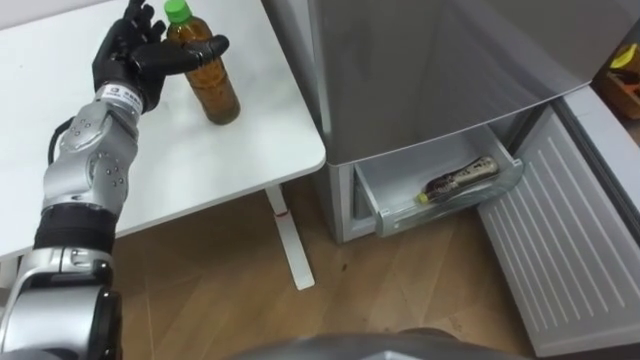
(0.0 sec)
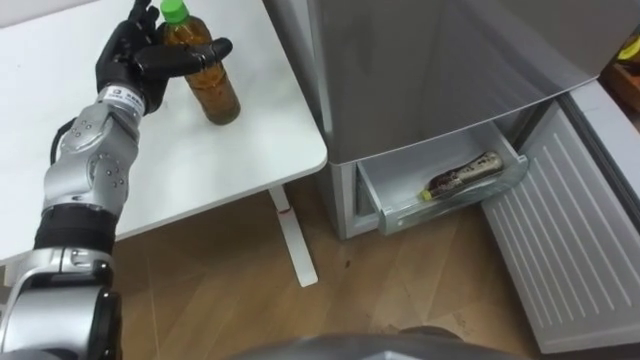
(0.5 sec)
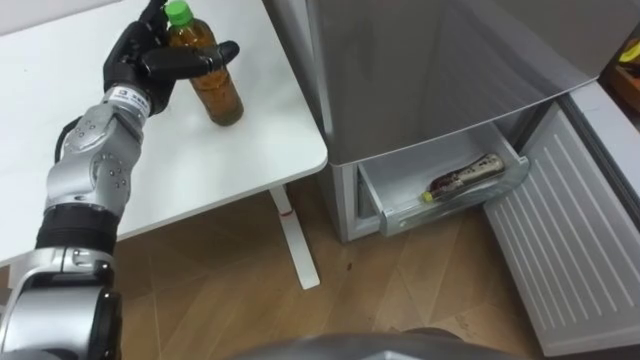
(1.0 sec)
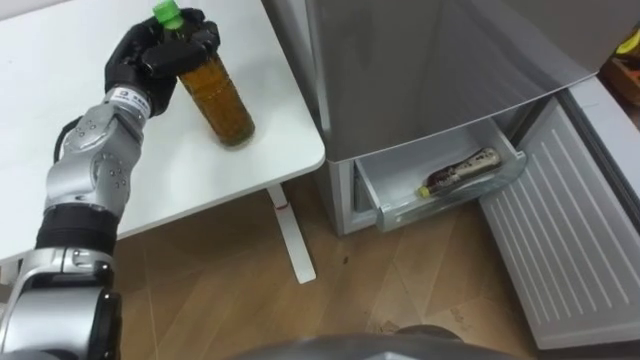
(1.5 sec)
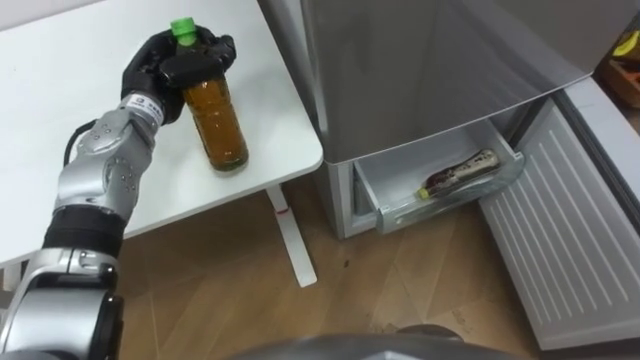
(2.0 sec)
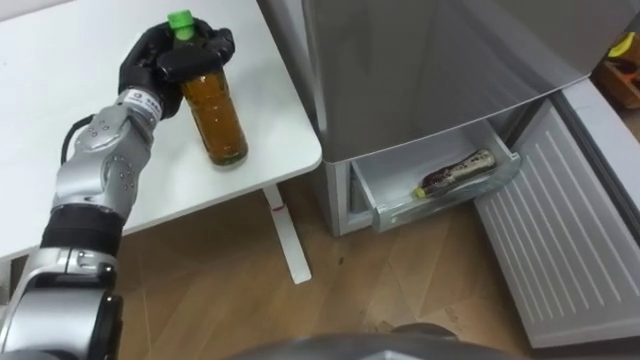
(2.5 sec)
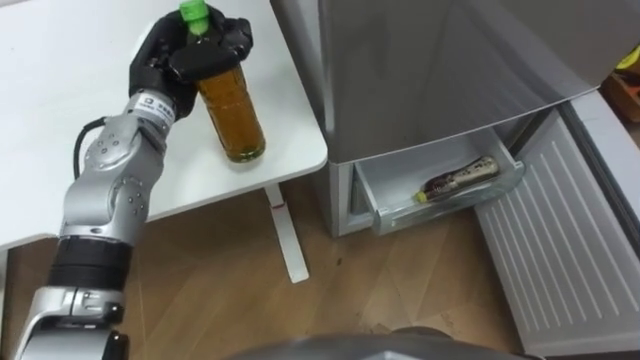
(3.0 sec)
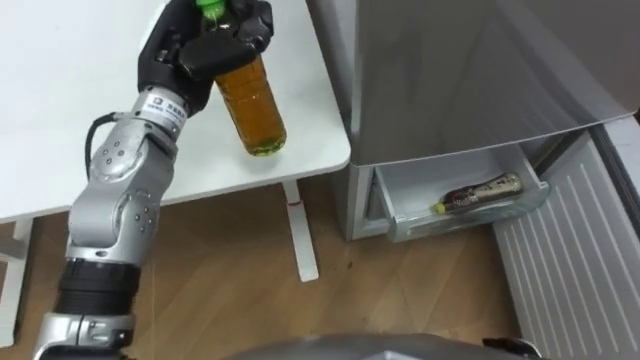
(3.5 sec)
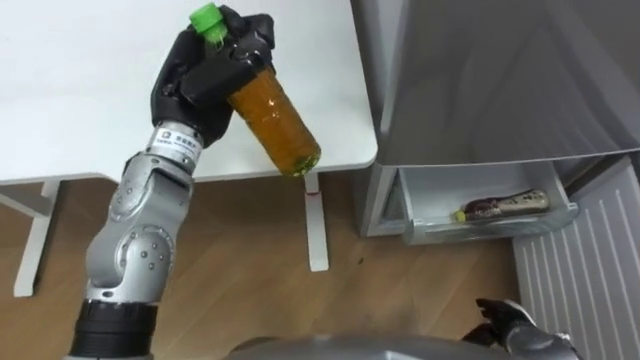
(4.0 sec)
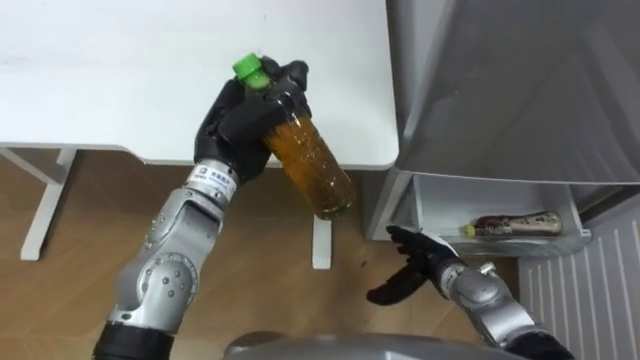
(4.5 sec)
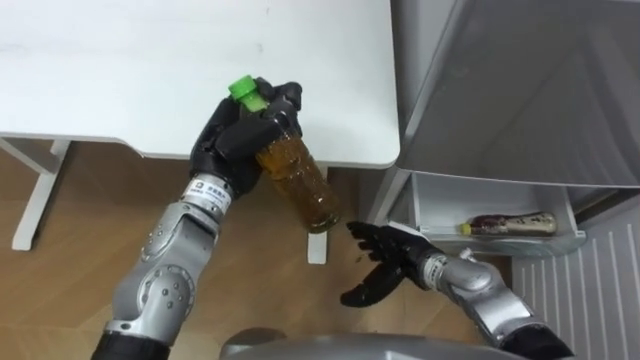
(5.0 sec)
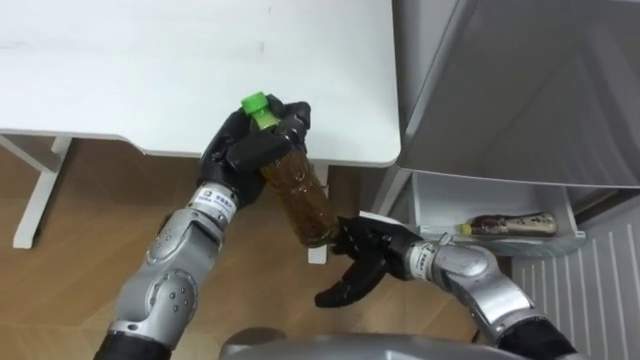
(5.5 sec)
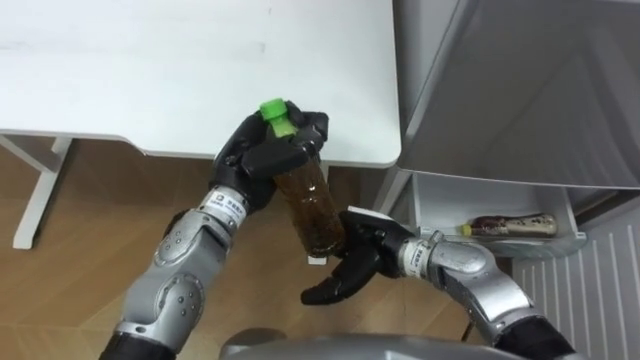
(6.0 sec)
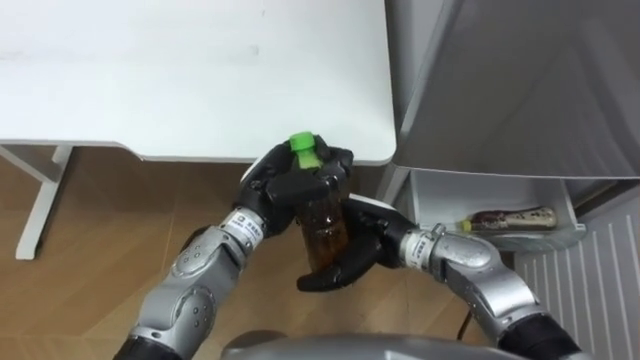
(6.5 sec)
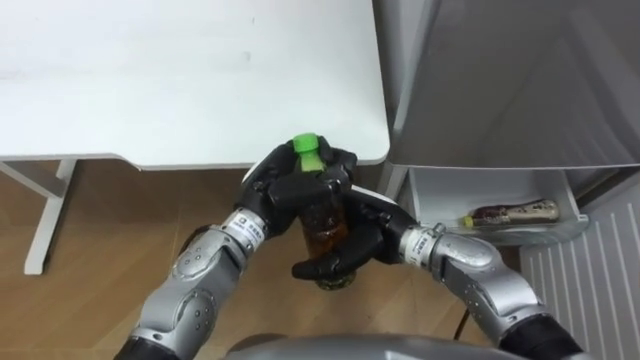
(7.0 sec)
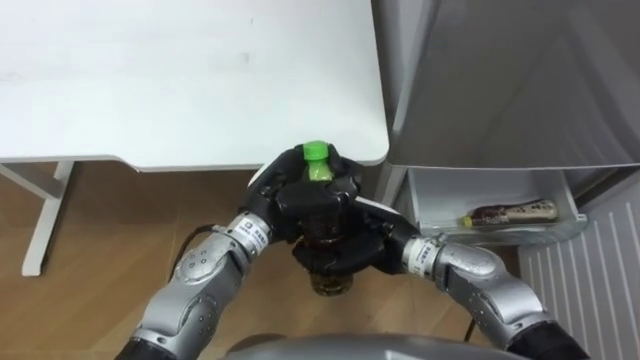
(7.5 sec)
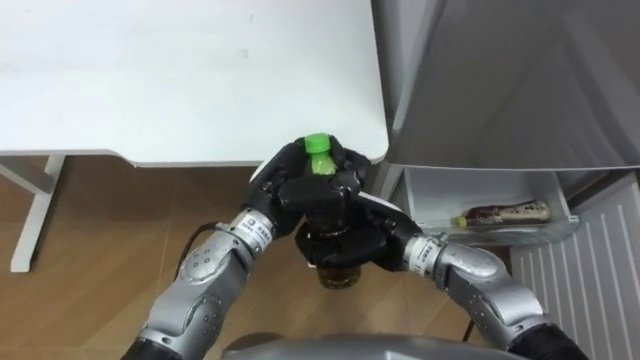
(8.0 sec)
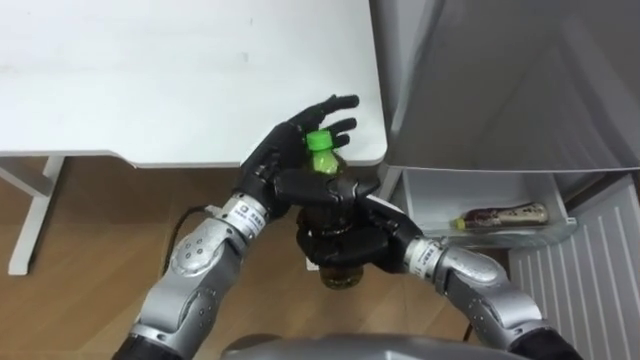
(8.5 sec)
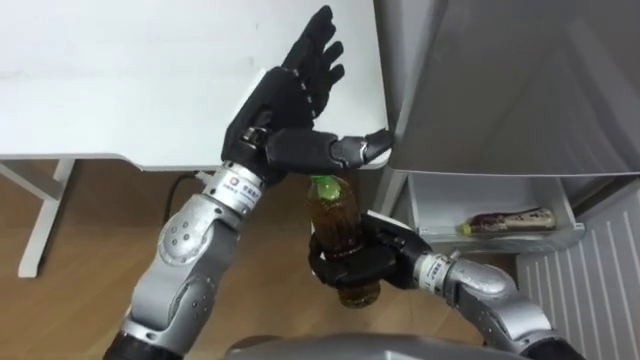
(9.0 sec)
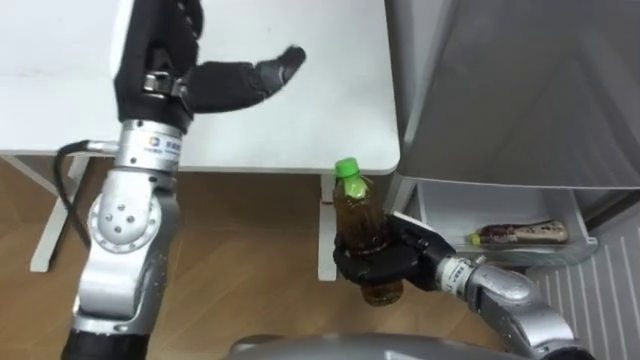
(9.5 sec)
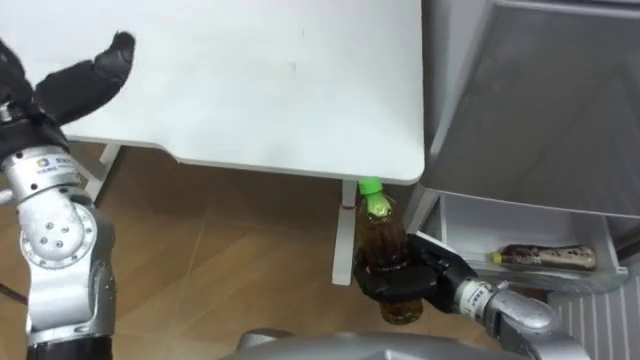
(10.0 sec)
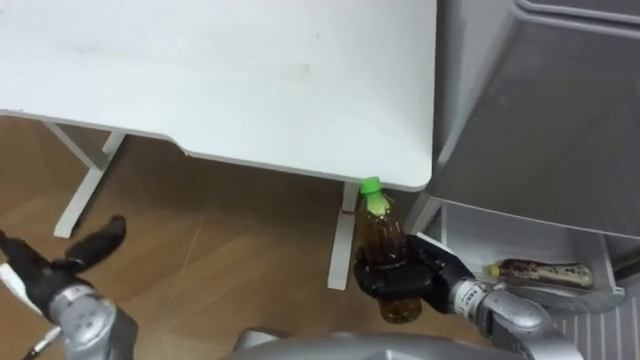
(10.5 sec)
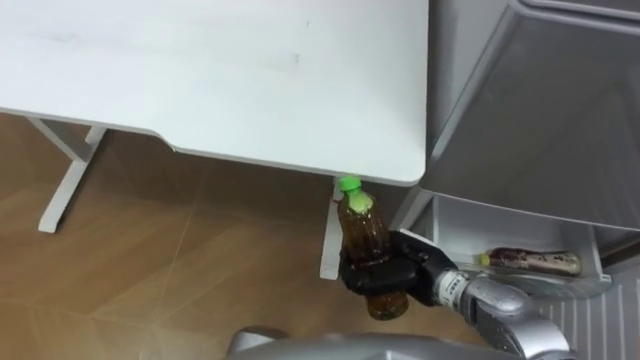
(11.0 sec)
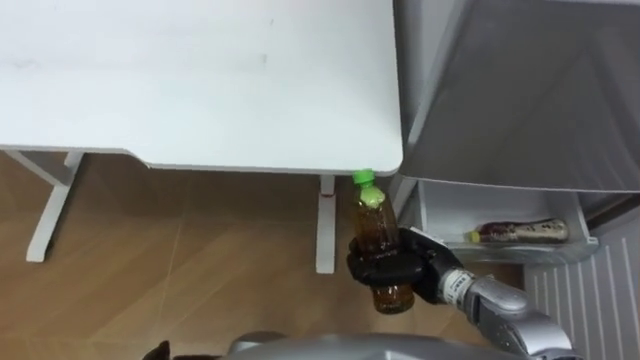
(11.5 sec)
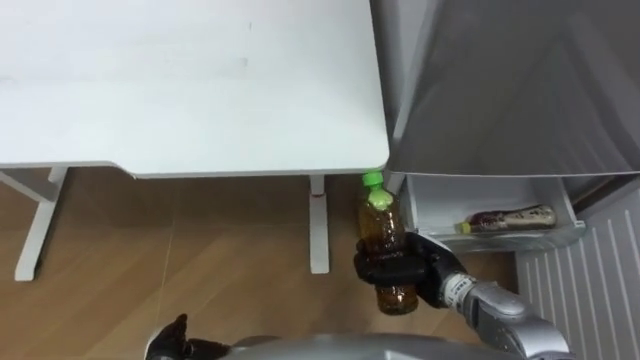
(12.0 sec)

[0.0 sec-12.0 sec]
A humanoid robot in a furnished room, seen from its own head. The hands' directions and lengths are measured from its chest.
Task of the whole recording: Place the drink on the table on the bottom shelf of the refrigerator, then close the drawer and the refrigerator door.
0.0 sec to 2.0 sec: The left hand closes up.
2.0 sec to 4.0 sec: The left hand is displaced backward, to the right and upward by some 10 cm.
4.0 sec to 6.0 sec: The left hand travels downward and to the right by roughly 10 cm. The right hand shifts some 25 cm to the left, upward and forward.
6.0 sec to 8.0 sec: The right hand closes its fingers. The left hand ends up roughly 5 cm from where it was.
8.0 sec to 10.0 sec: The left hand travels to the left and upward by approximately 30 cm, and opens up, while the right hand is displaced to the right by some 10 cm.

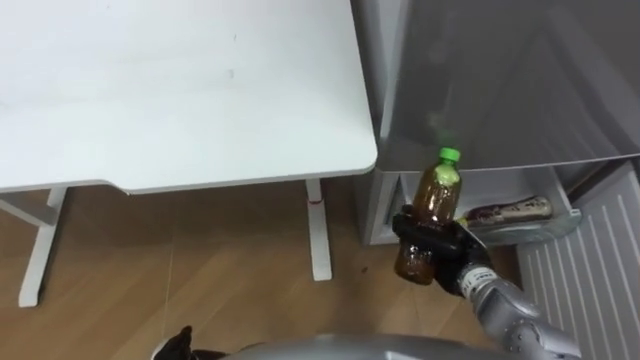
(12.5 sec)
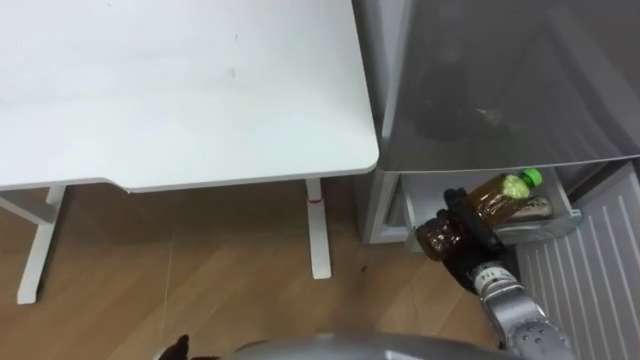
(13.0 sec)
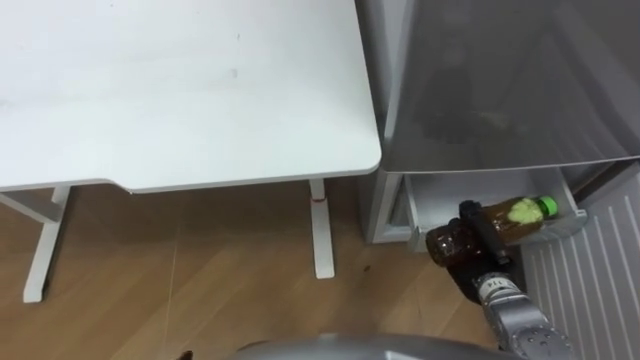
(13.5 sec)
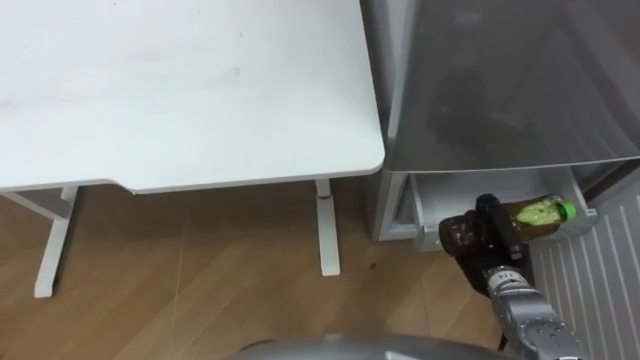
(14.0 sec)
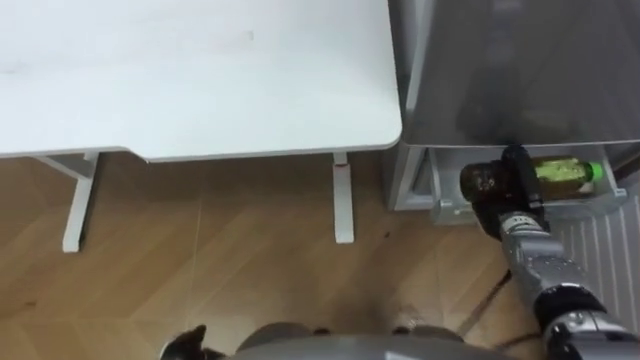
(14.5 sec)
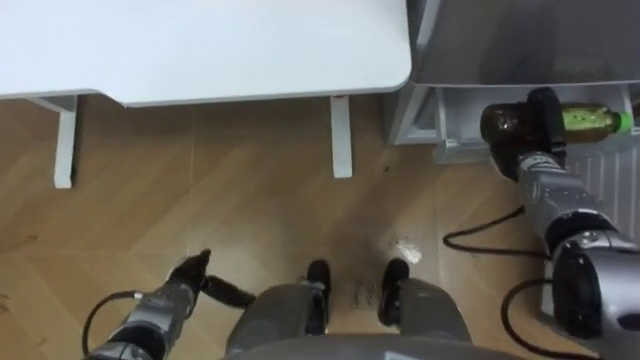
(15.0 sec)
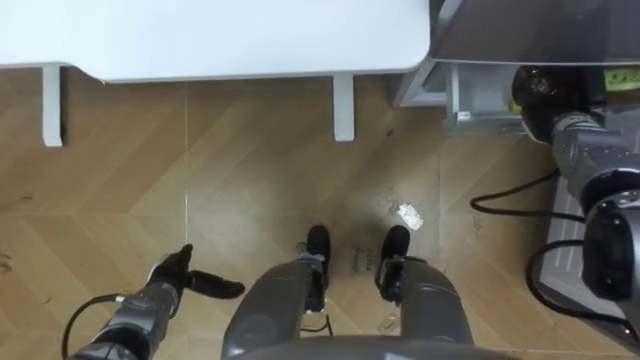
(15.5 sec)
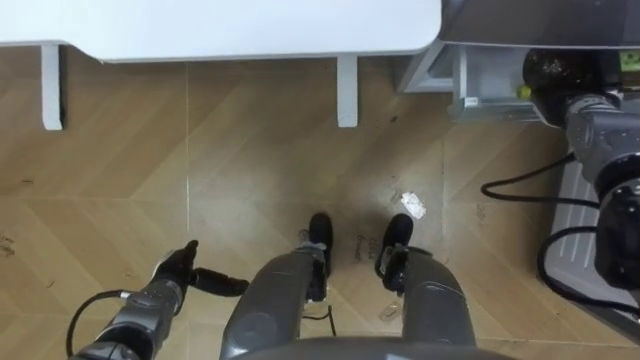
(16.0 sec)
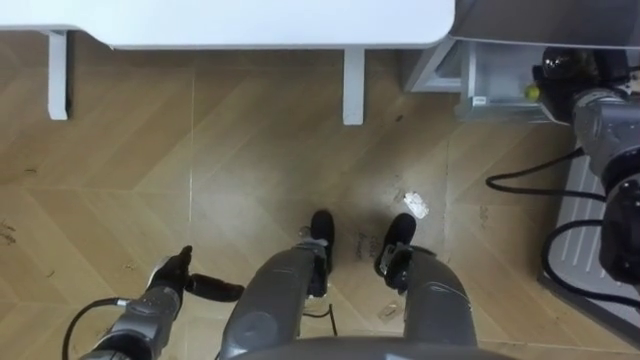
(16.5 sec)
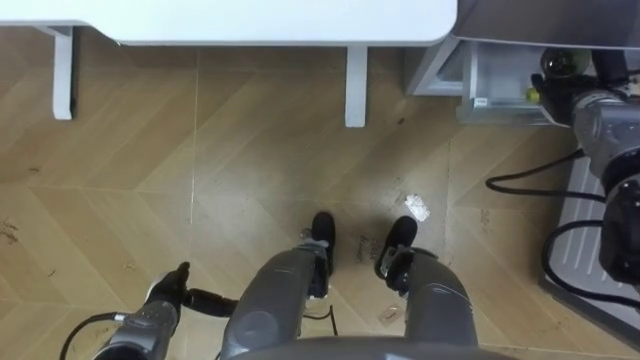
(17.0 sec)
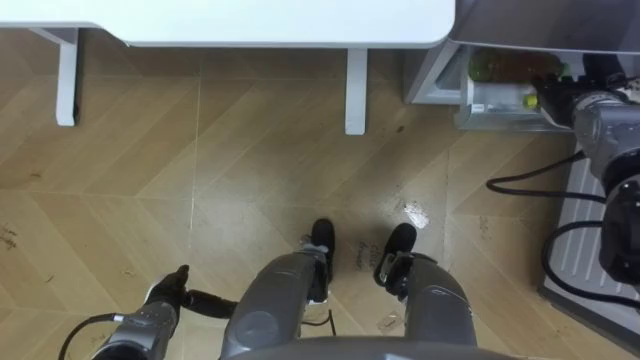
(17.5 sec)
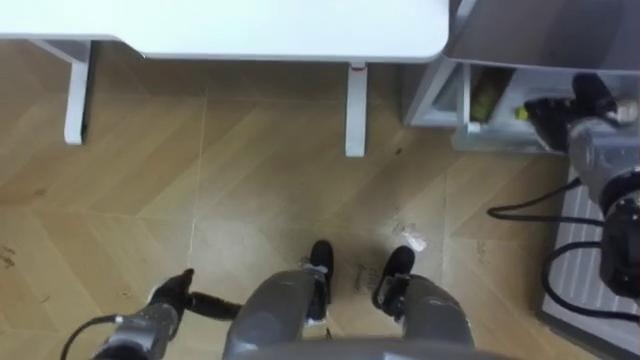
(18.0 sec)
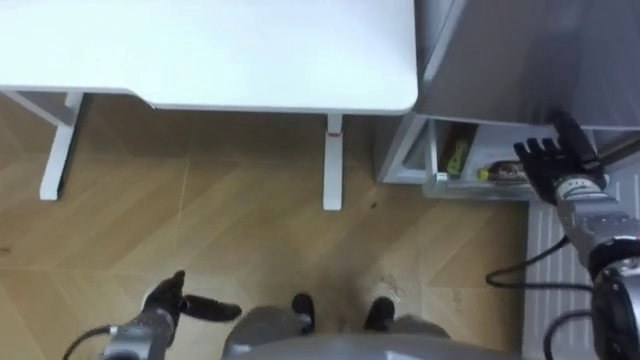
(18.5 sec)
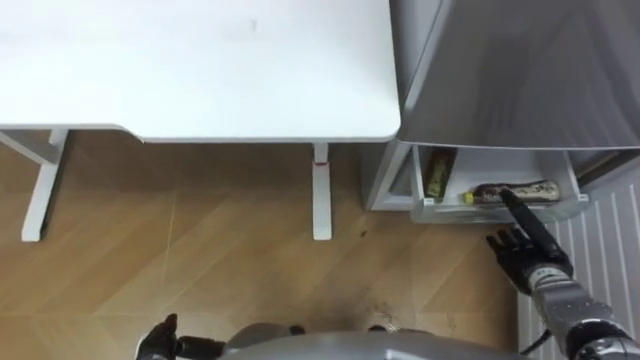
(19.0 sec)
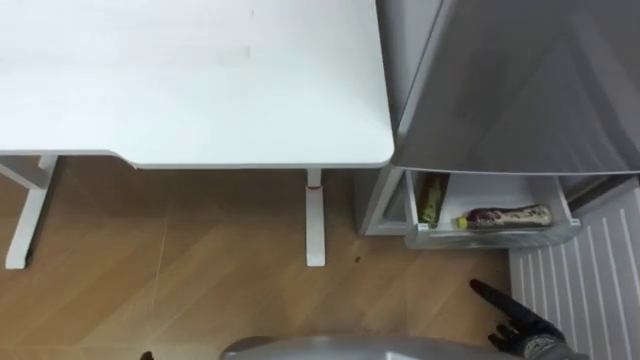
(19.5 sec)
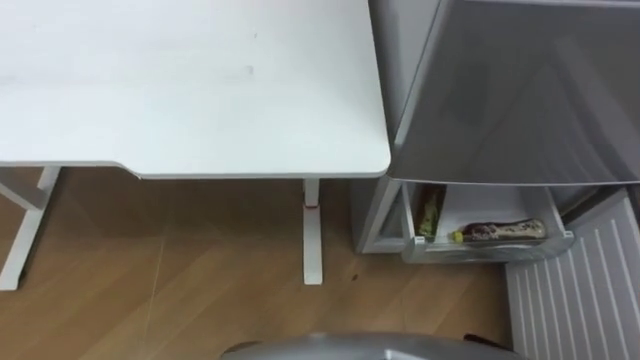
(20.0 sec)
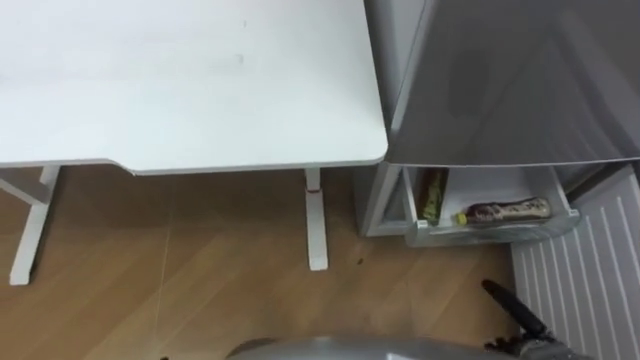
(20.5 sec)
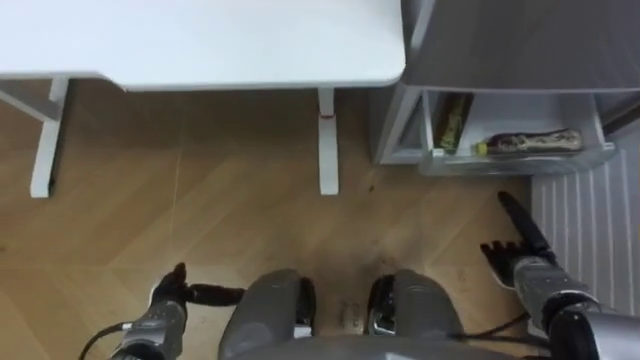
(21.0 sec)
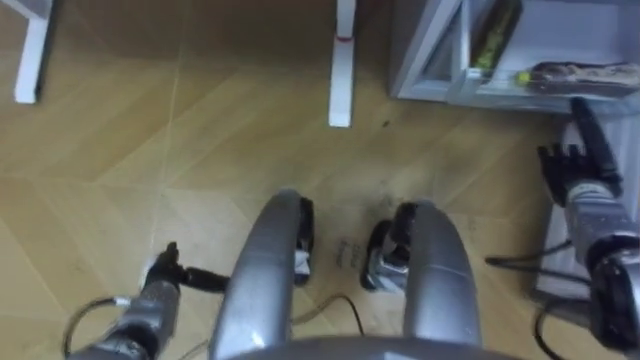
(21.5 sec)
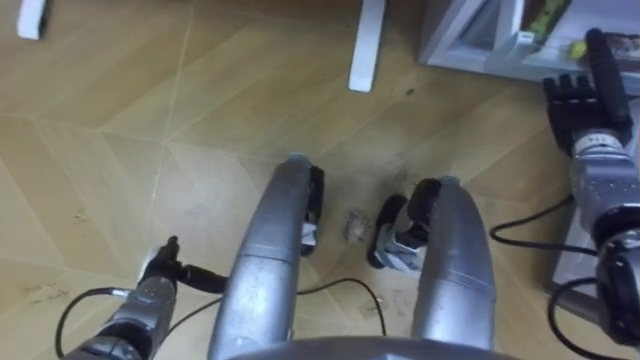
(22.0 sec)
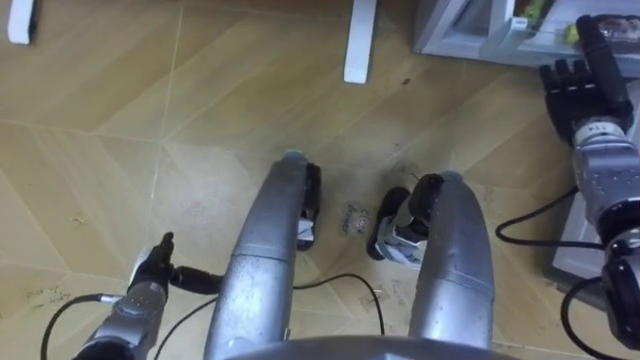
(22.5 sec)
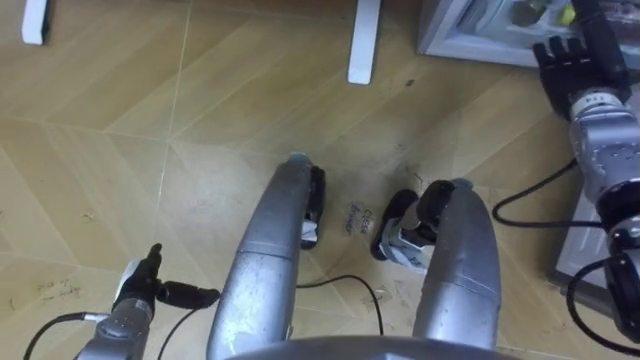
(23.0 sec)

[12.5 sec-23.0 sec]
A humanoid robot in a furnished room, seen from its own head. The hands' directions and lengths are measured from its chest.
Task of the whole recording: Place the drink on the table on the bottom shelf of the refrigerator, then close the drawer and the refrigerator door.
12.5 sec to 14.5 sec: The right hand goes some 10 cm to the right and forward.
14.5 sec to 16.5 sec: The right hand heads forward, upward and to the right, covering roughly 20 cm, and opens.
16.5 sec to 19.0 sec: The left hand moves backward, approximately 10 cm. Meanwhile the right hand goes roughly 25 cm backward and downward.
21.0 sec to 23.0 sec: The right hand is displaced forward and upward by about 30 cm.
